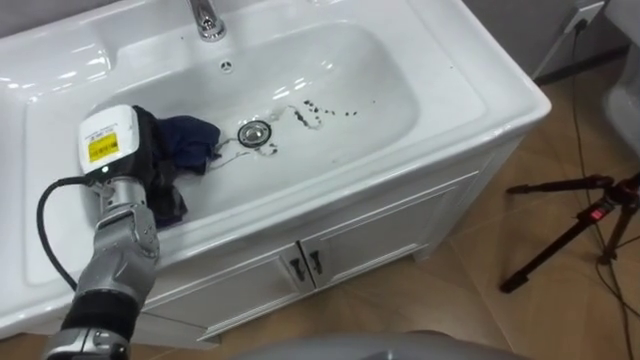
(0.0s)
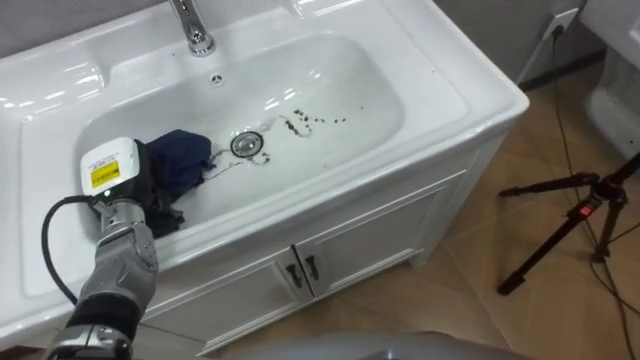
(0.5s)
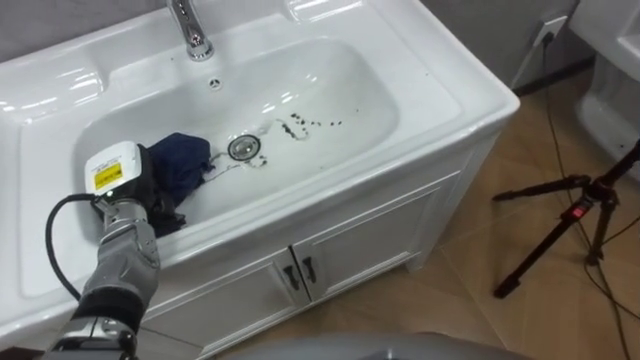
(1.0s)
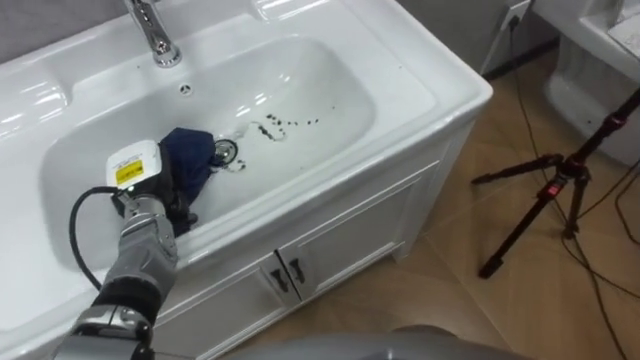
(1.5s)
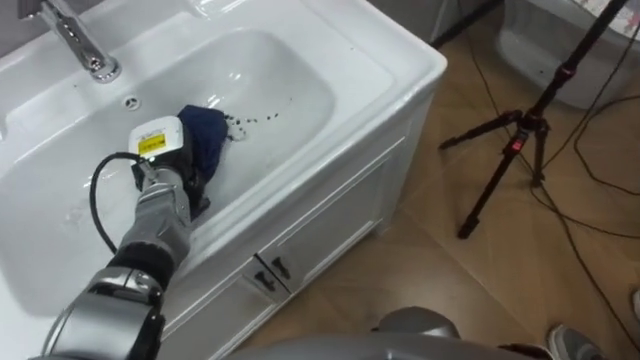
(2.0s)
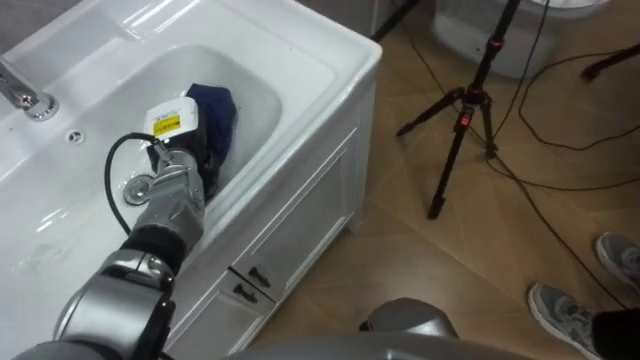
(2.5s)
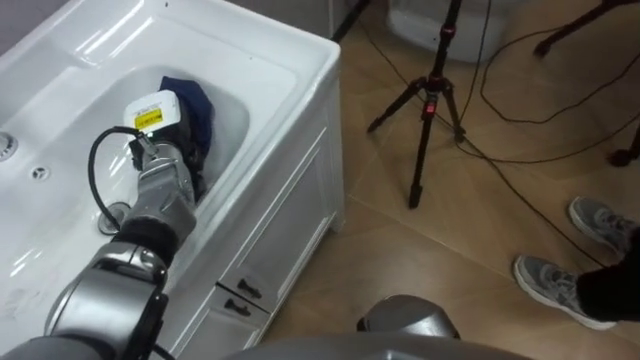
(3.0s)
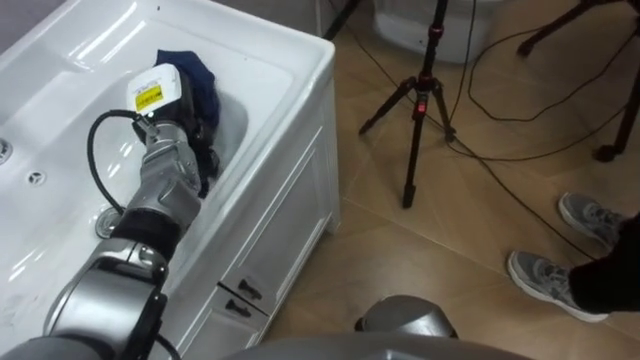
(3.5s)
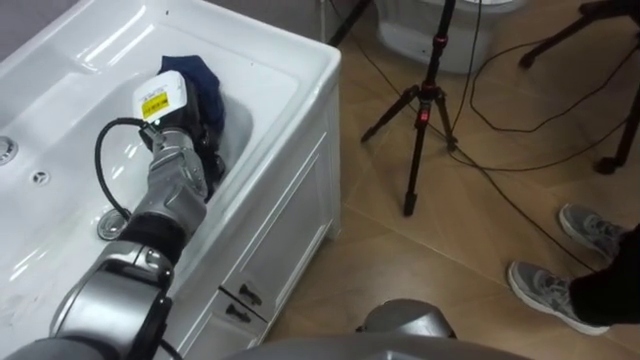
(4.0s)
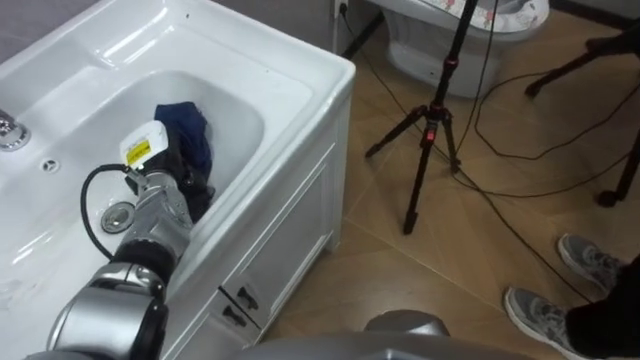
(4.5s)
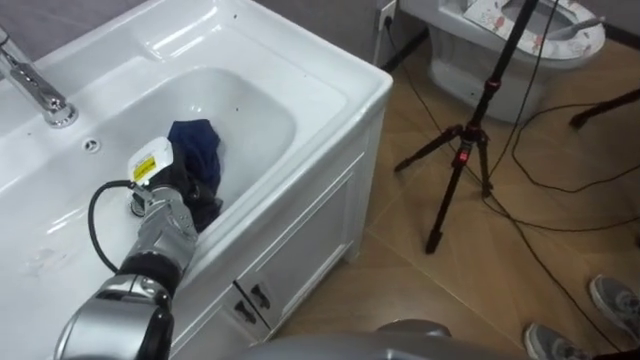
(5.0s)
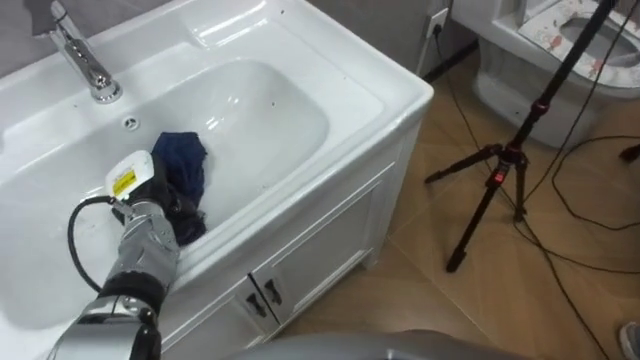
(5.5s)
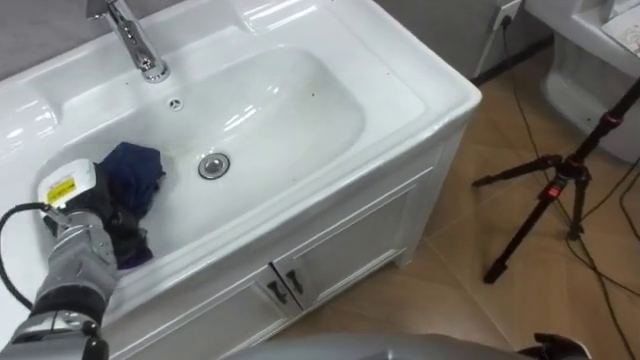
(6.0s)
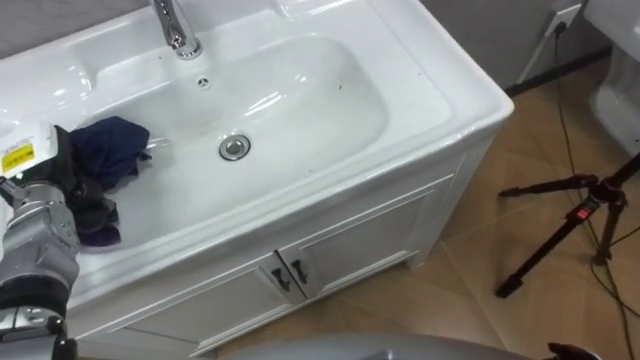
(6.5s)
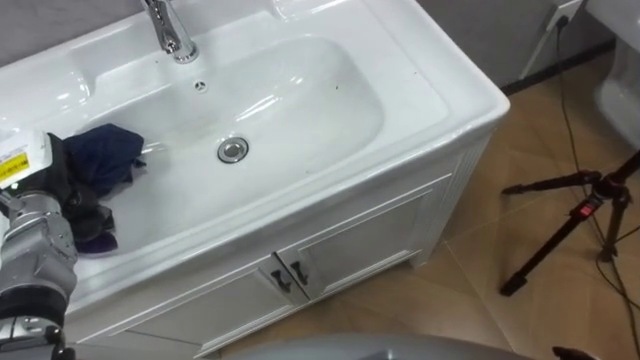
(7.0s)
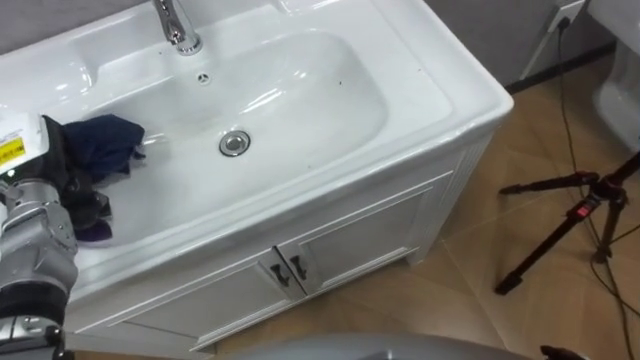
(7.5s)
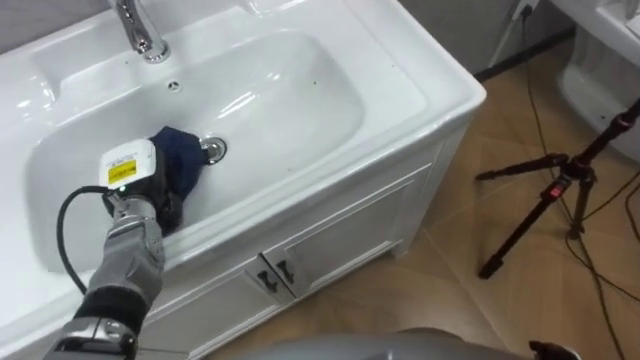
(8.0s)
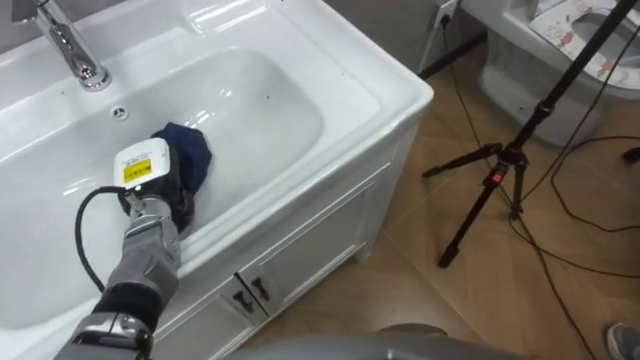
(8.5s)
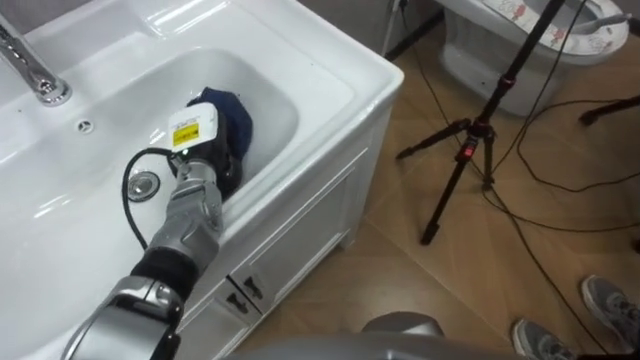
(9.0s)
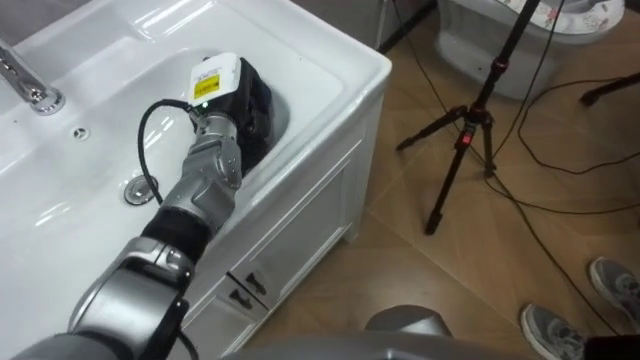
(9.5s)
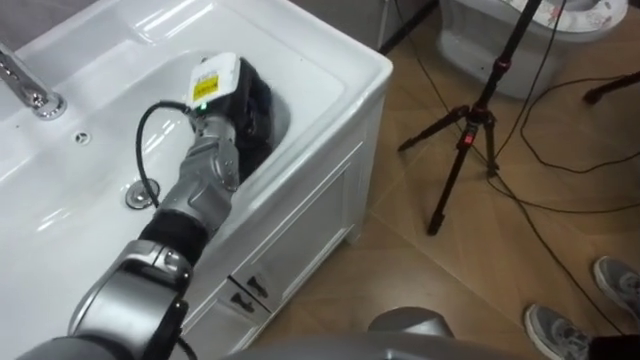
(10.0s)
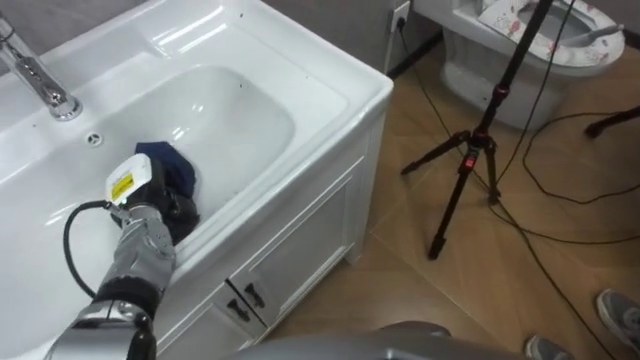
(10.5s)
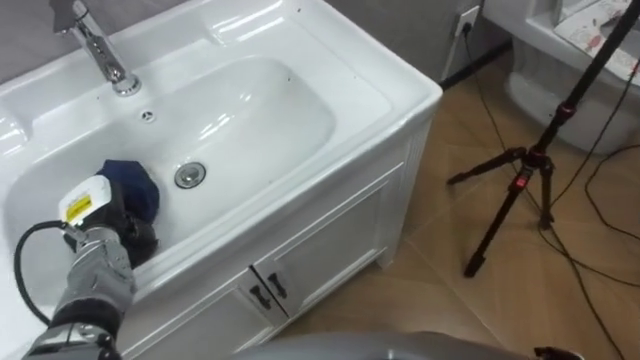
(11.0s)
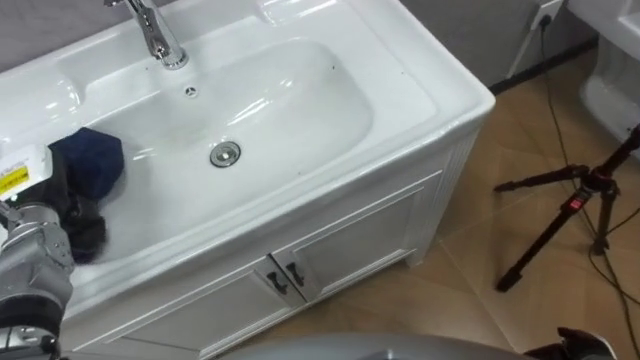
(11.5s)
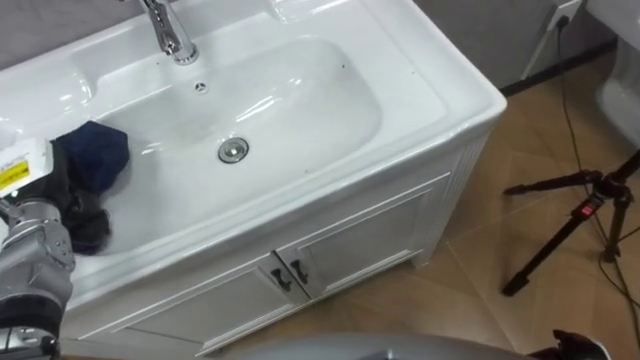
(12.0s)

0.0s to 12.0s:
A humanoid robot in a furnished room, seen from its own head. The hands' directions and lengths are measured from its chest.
Task of the whole recording: Use the cloth on the right to wipe away the black stain in the sink.
0.0s to 2.0s: The left hand shifts about 5 cm downward.
2.0s to 4.0s: The left hand ends up about 5 cm from where it was.
4.0s to 6.0s: The left hand shifts about 20 cm to the left, backward and downward.
6.0s to 8.0s: The left hand is displaced to the right by roughly 10 cm.
8.0s to 10.0s: The left hand goes about 15 cm to the right, forward and upward.
10.0s to 12.0s: The left hand moves to the left and backward, roughly 25 cm.

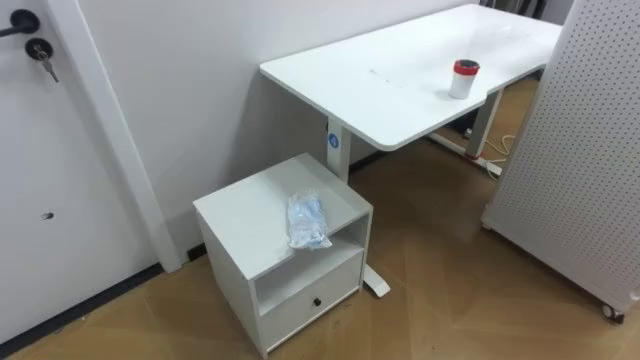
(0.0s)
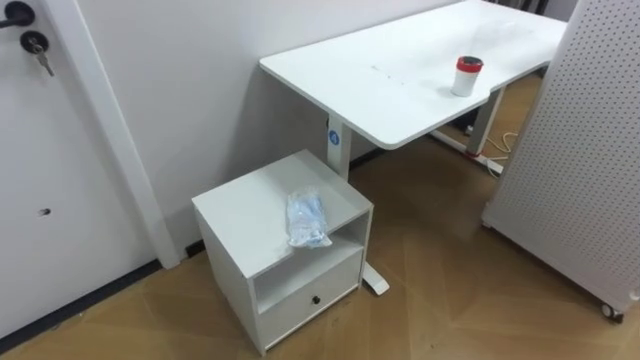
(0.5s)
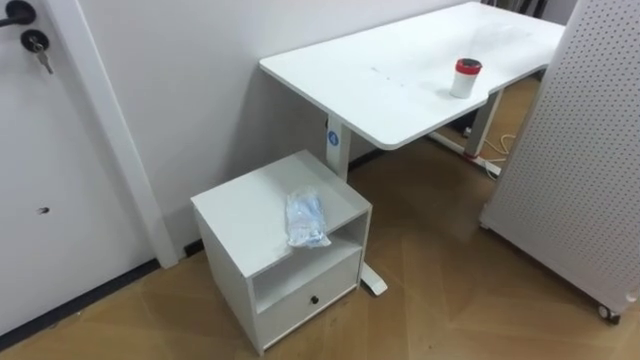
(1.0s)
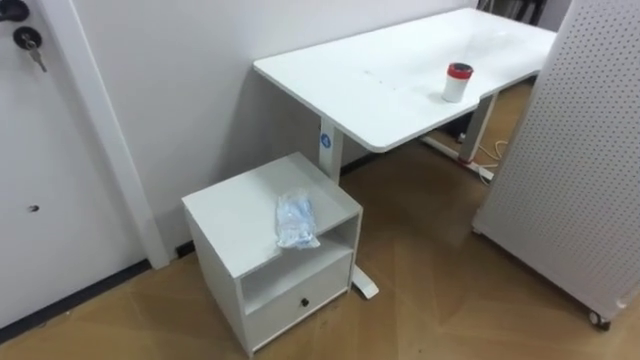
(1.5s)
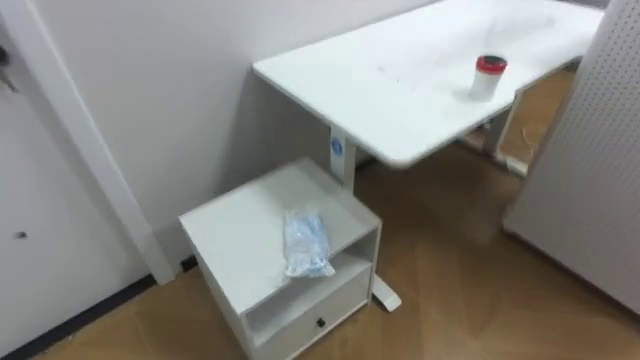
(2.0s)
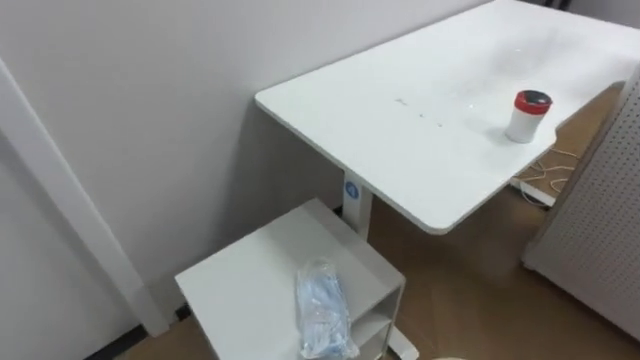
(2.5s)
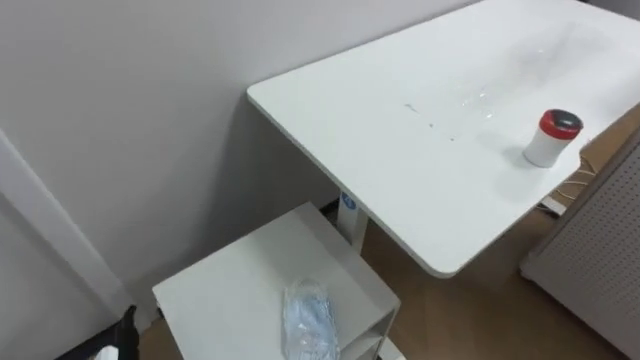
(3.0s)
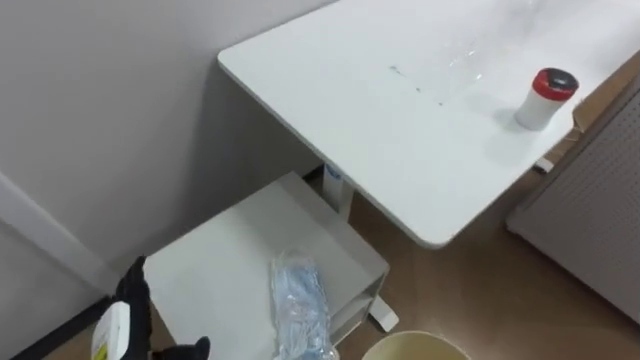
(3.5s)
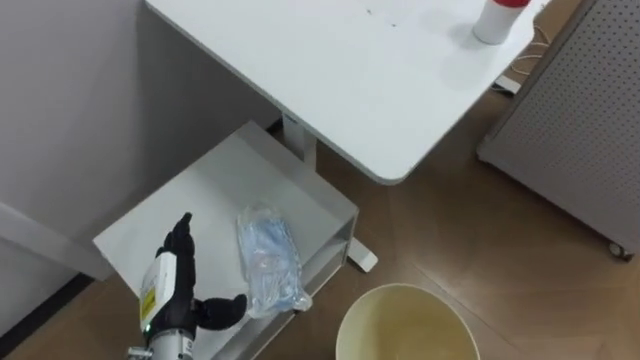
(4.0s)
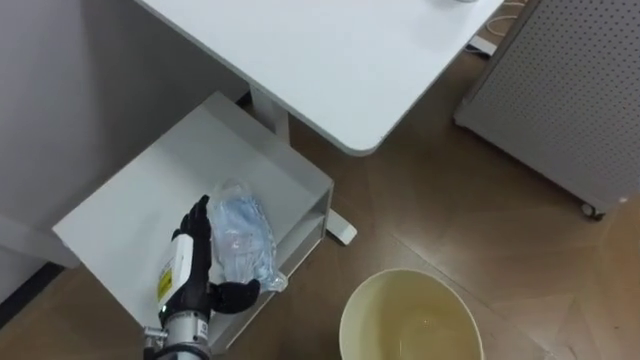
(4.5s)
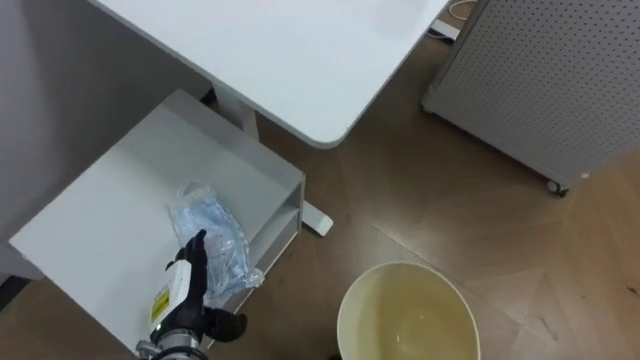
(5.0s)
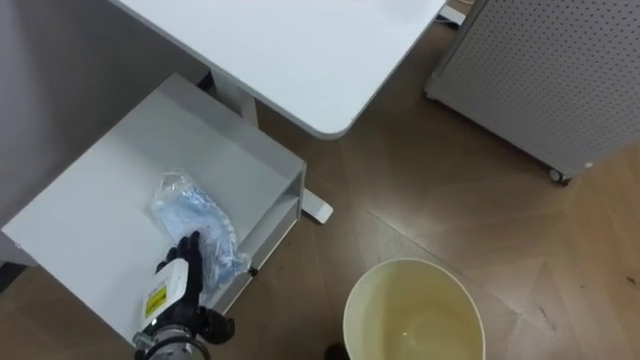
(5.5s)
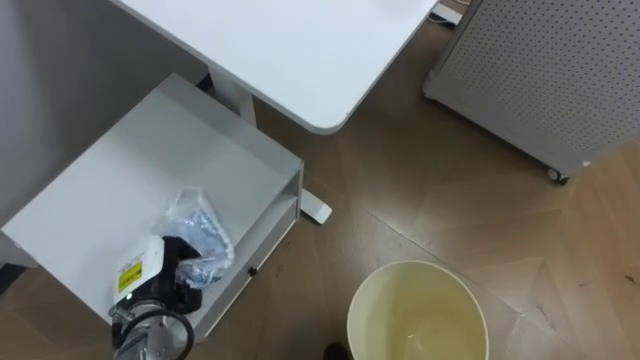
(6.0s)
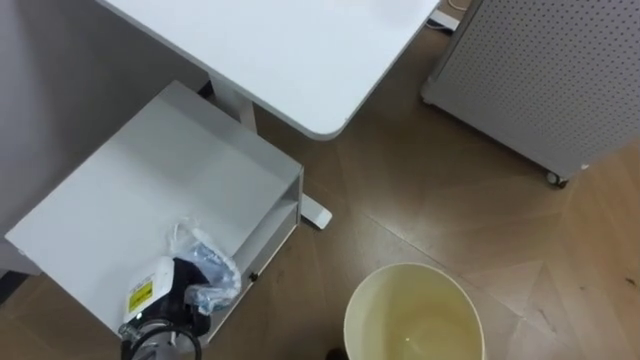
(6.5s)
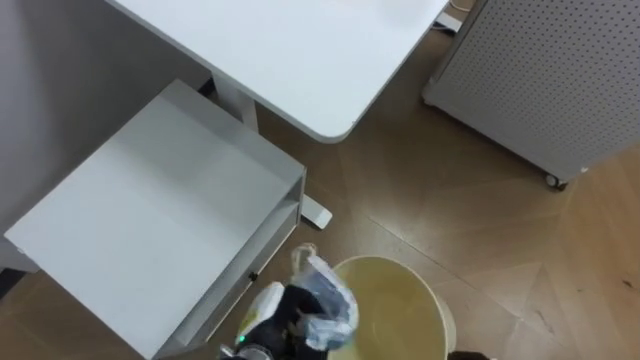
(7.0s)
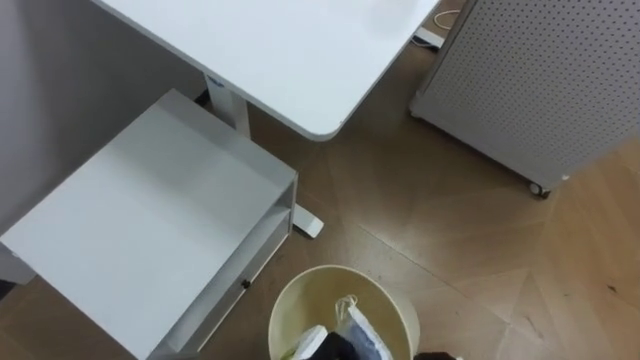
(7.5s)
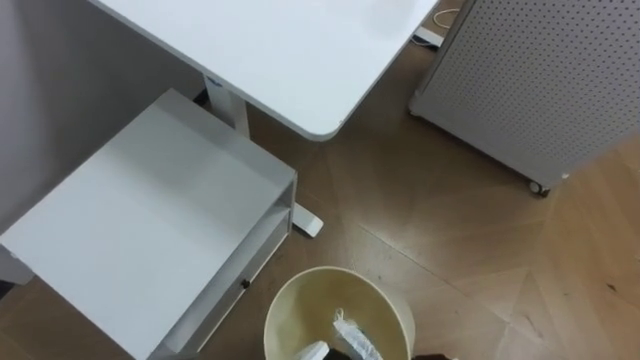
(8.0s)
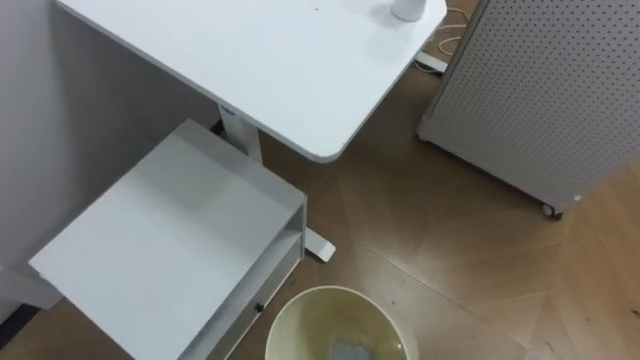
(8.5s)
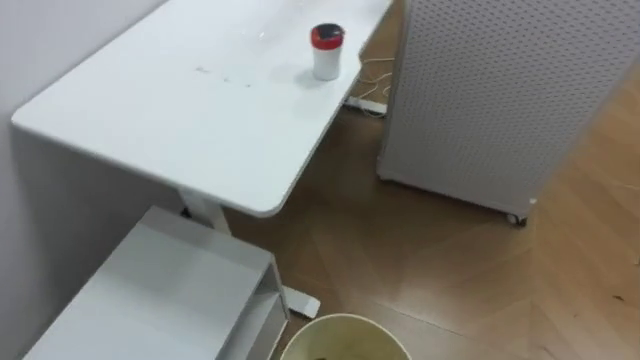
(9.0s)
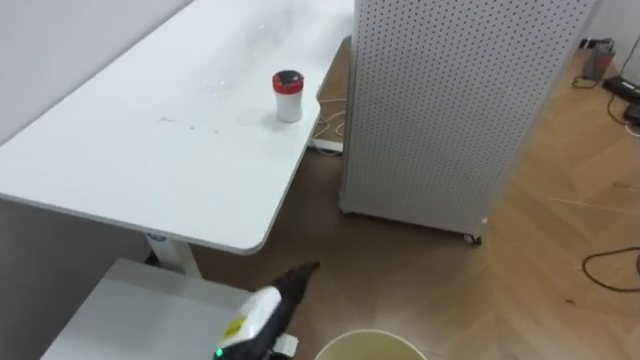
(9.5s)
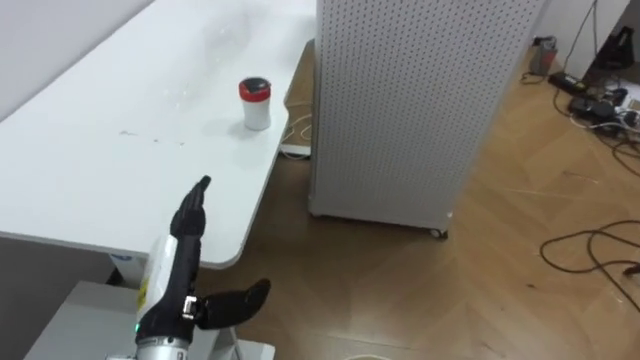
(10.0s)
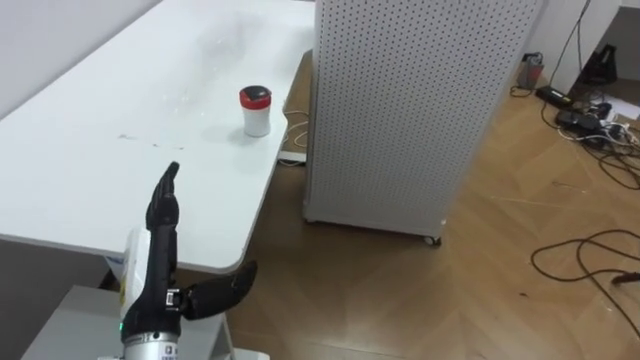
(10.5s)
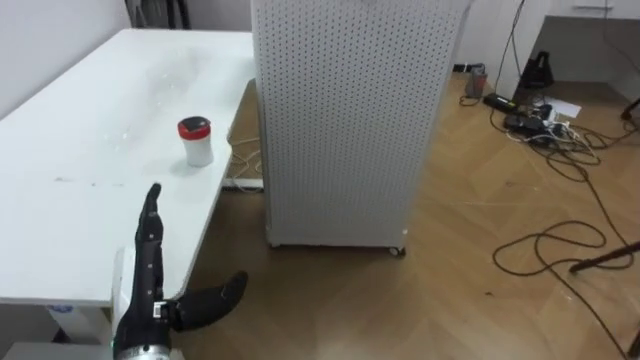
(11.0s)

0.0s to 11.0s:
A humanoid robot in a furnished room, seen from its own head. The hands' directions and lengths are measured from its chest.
Task of the whole recording: Pick up the light blue package, the candy box, and the dark blue package separately, and put them into the trash can held in your right hand.
3.5s to 5.5s: The left hand is displaced forward by some 10 cm.
9.0s to 11.0s: The robot rotates about 30 degrees to its right.
